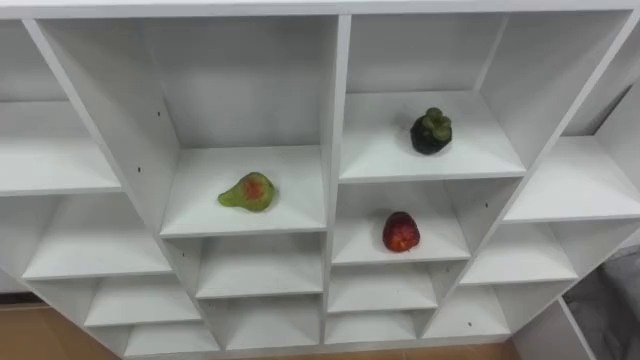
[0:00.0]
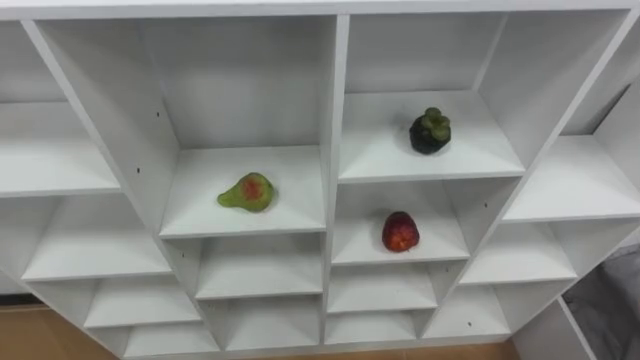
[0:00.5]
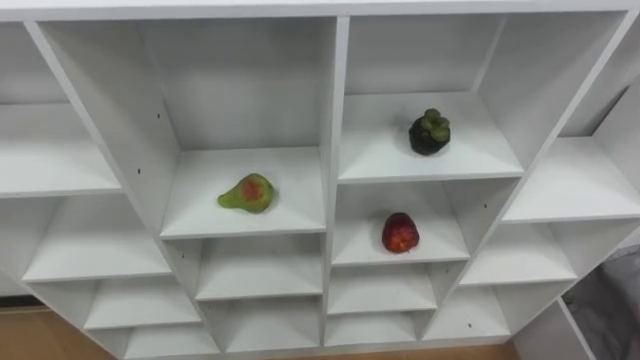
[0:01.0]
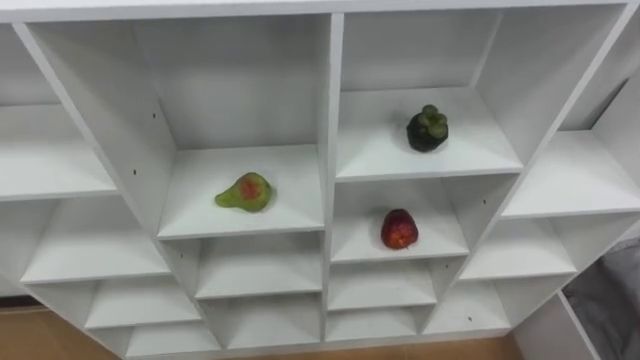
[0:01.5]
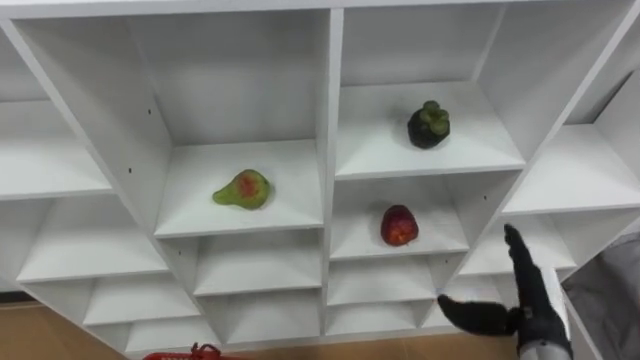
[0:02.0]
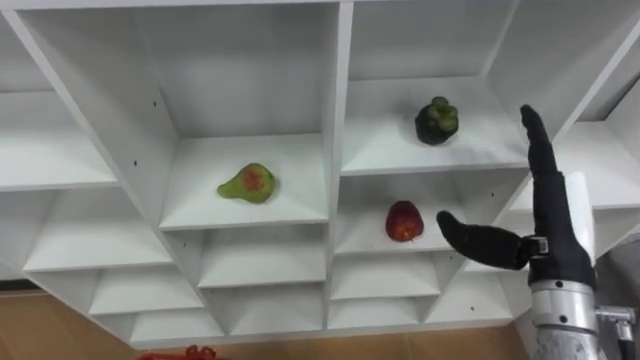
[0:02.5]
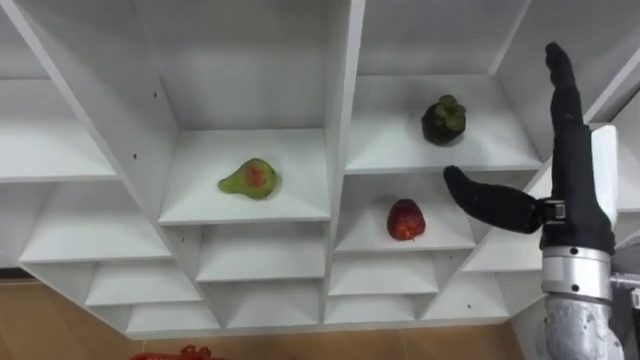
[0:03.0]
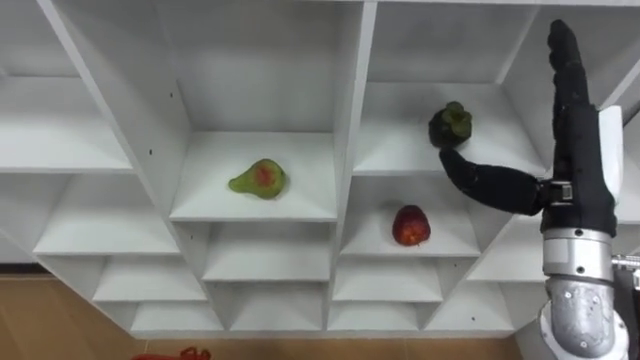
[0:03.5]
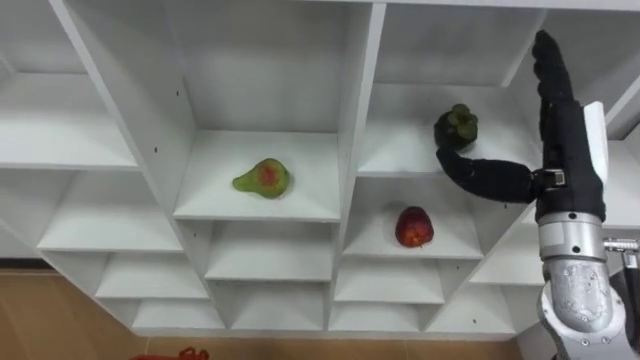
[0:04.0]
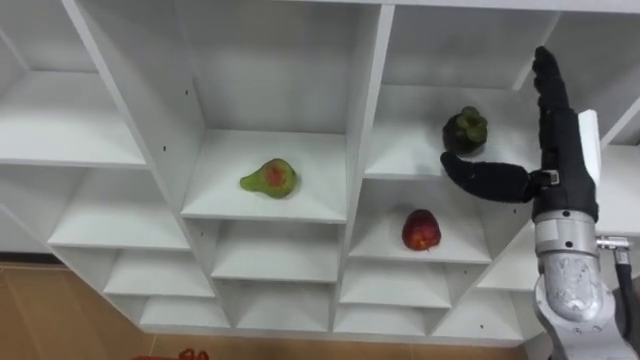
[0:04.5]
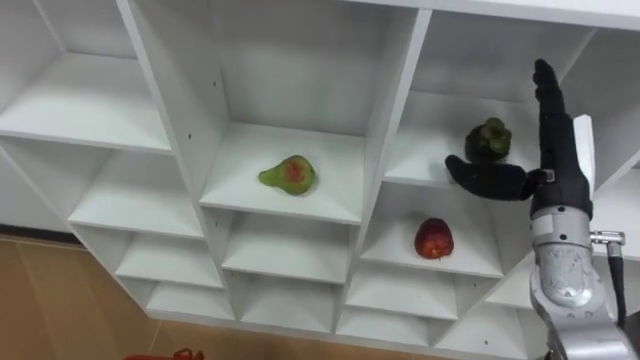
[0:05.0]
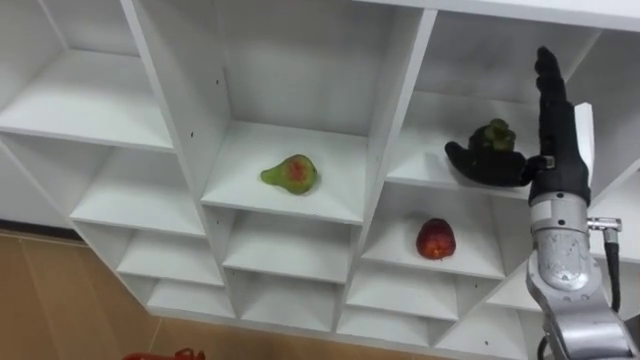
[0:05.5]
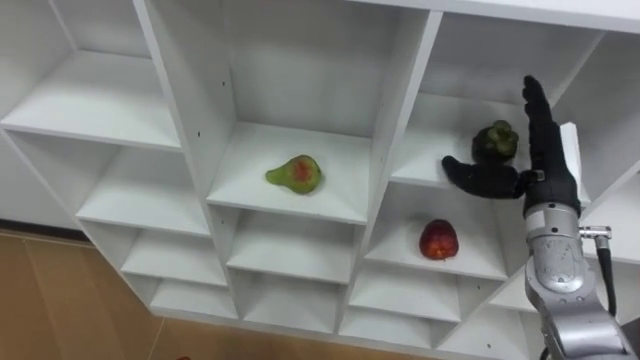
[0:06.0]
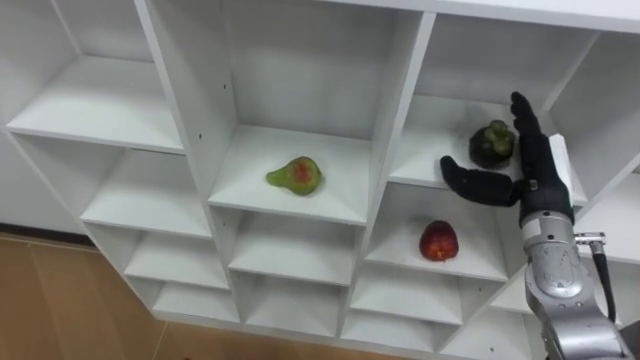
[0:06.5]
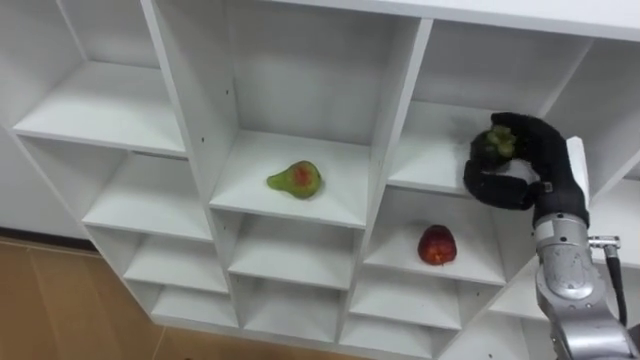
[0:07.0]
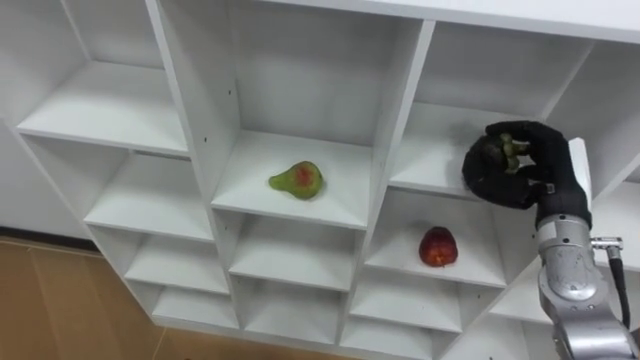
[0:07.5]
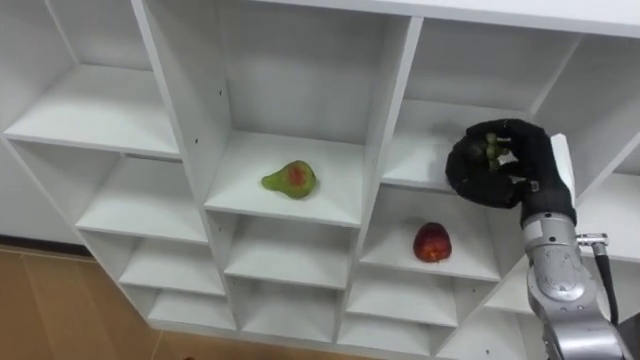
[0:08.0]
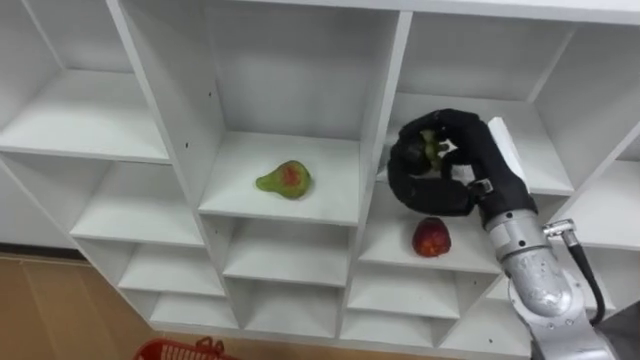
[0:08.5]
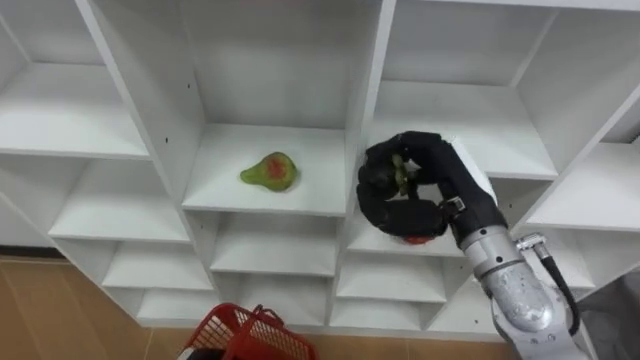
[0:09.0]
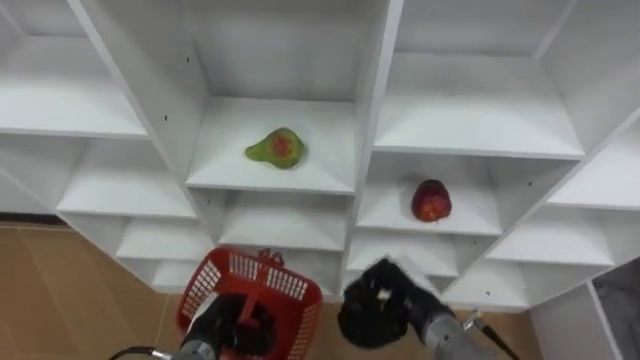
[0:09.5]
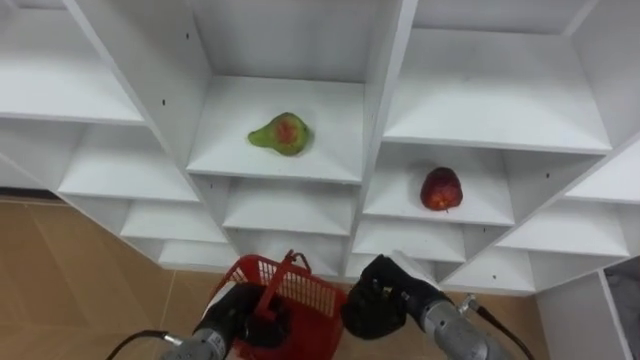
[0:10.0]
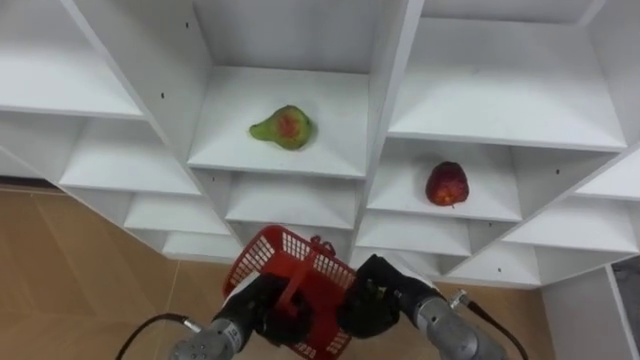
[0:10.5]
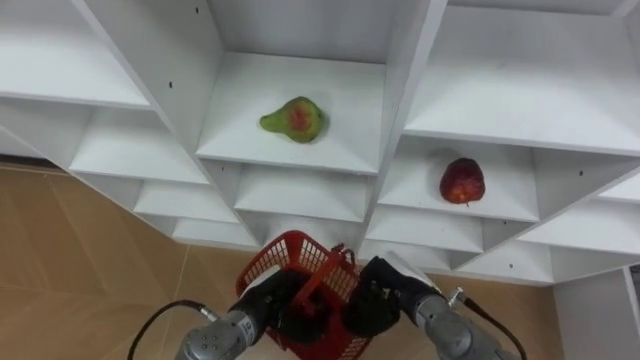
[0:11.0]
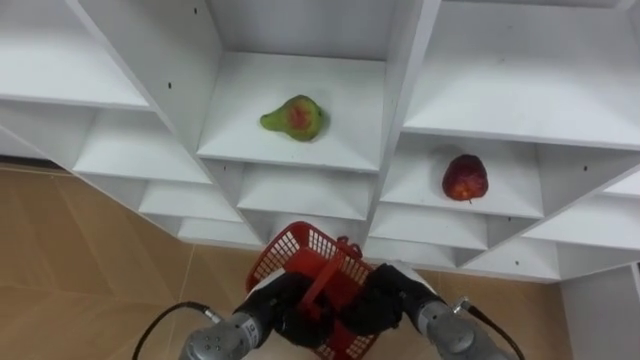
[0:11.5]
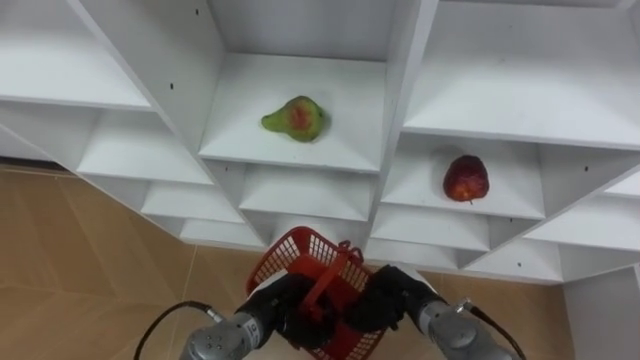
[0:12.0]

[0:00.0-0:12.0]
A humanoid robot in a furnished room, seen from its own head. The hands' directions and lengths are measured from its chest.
Task of the whole recording: Hold the basket and collect the fruits from 3 different cells of the closet into it.
0:02.0 to 0:04.0: The right hand is displaced upward and forward by approximately 20 cm.
0:04.0 to 0:06.0: The right hand shifts approximately 5 cm downward.
0:06.0 to 0:08.0: The right hand closes.
0:08.0 to 0:10.0: The right hand moves to the left, downward and backward, approximately 20 cm.
0:10.0 to 0:12.0: The left hand goes approximately 5 cm to the right.

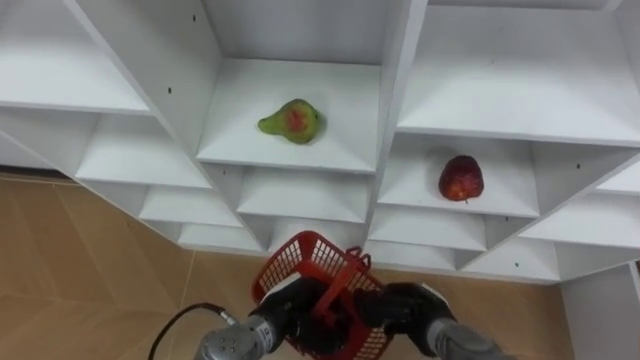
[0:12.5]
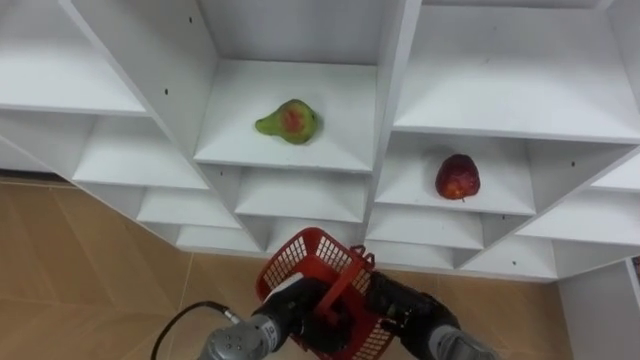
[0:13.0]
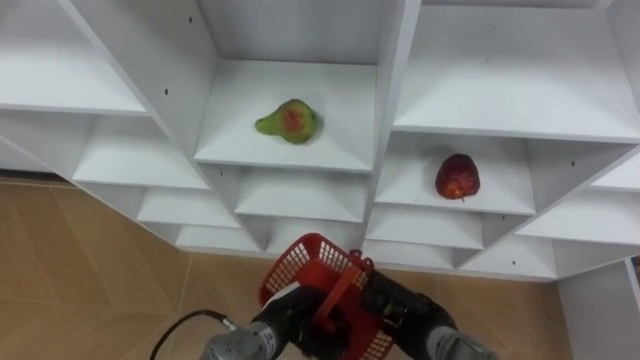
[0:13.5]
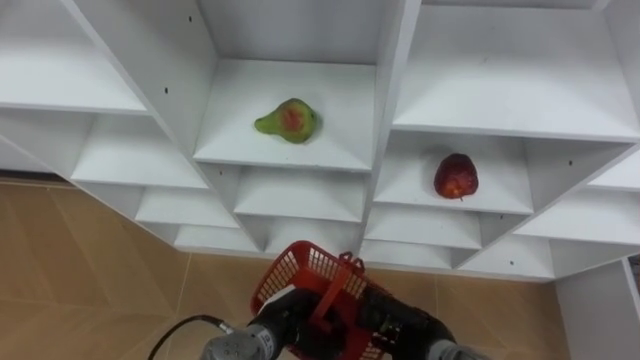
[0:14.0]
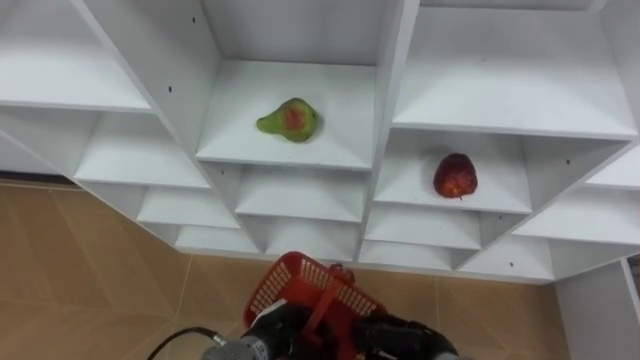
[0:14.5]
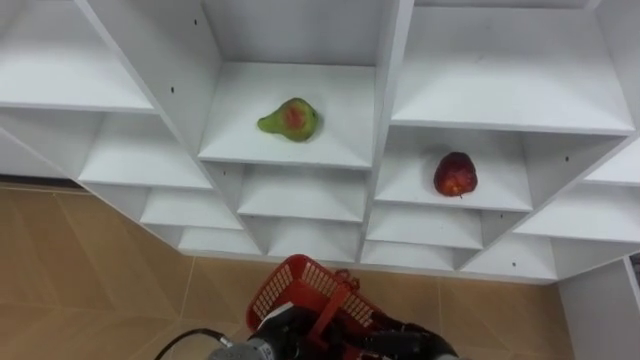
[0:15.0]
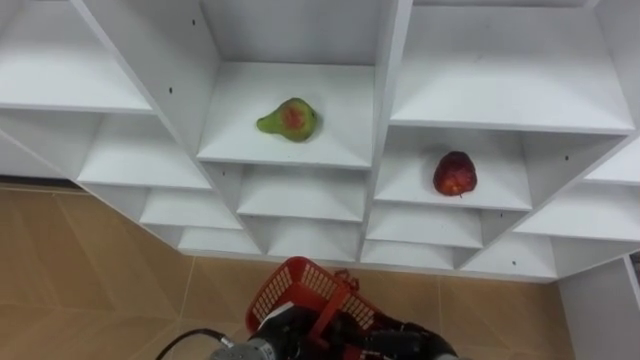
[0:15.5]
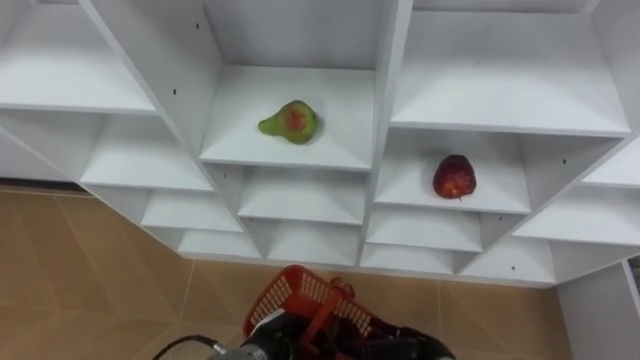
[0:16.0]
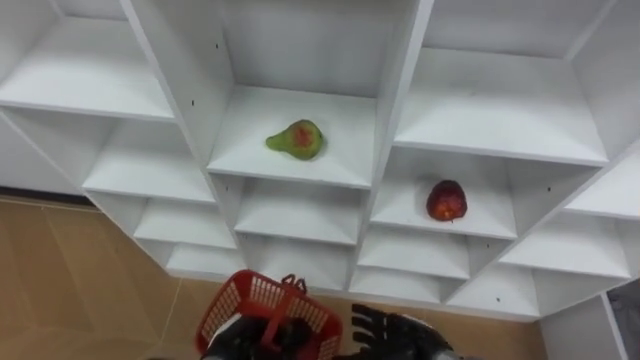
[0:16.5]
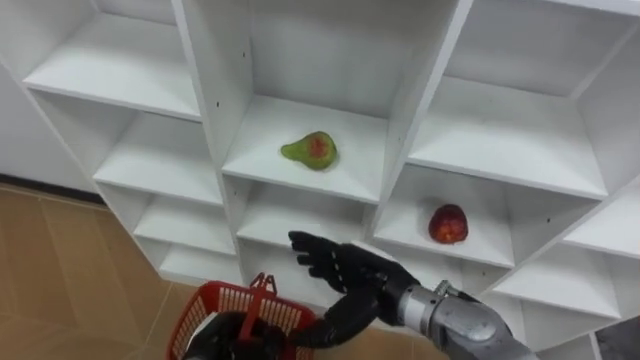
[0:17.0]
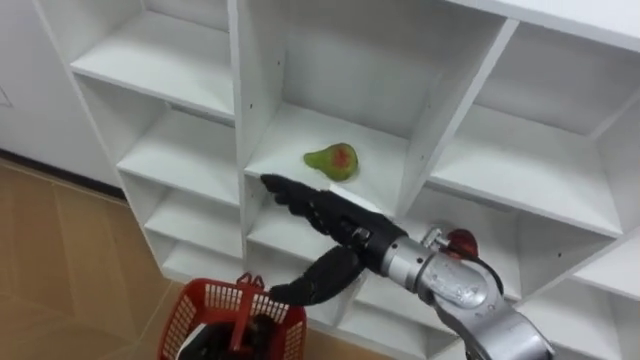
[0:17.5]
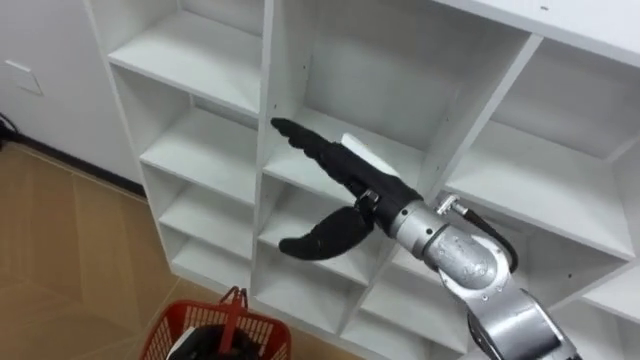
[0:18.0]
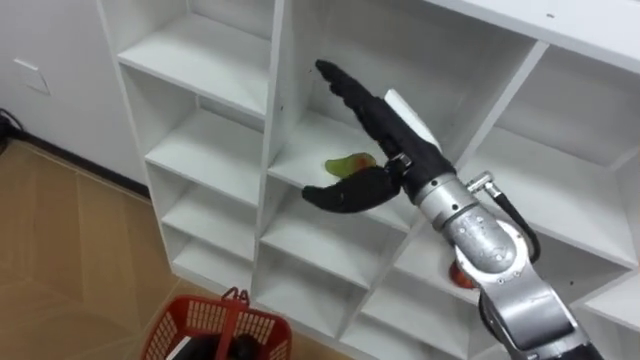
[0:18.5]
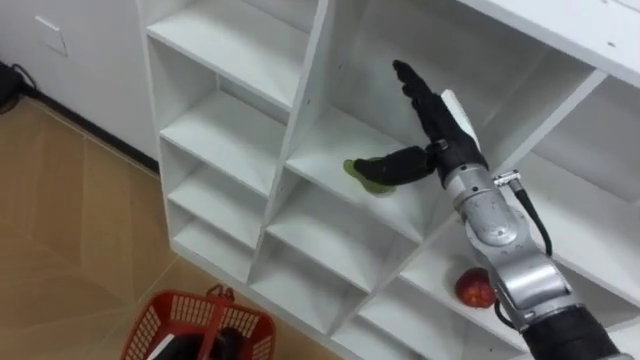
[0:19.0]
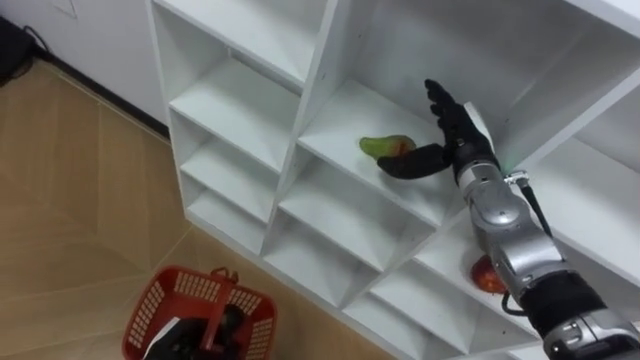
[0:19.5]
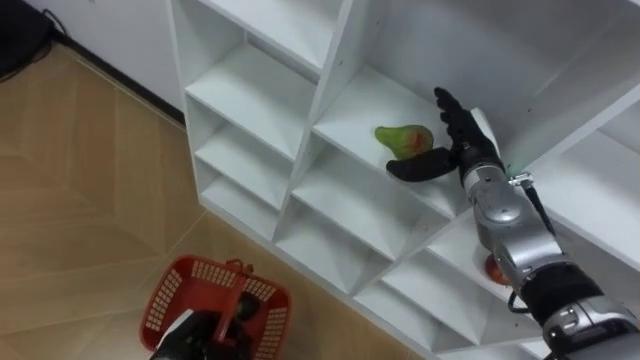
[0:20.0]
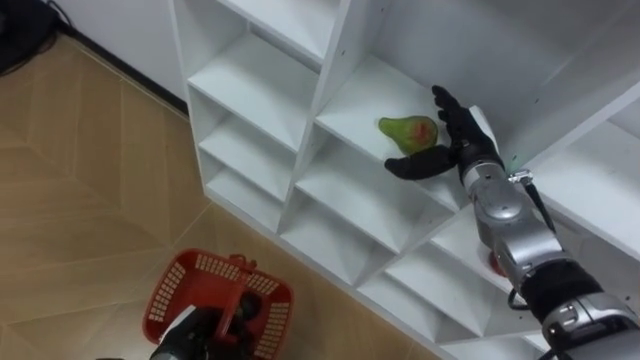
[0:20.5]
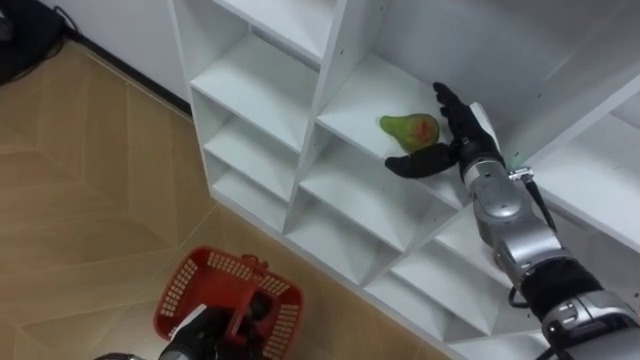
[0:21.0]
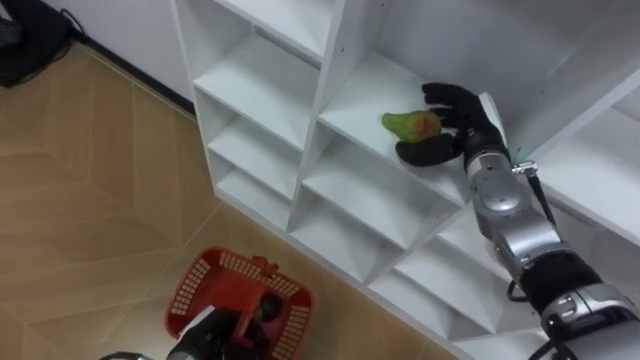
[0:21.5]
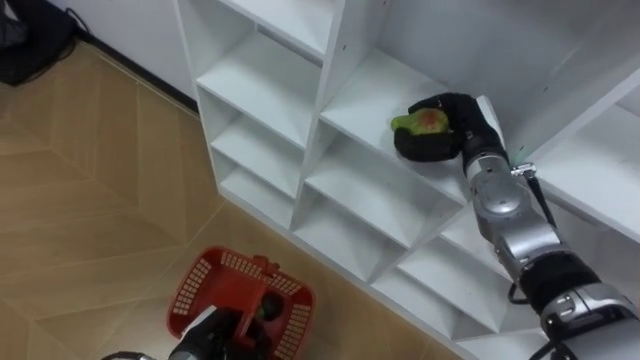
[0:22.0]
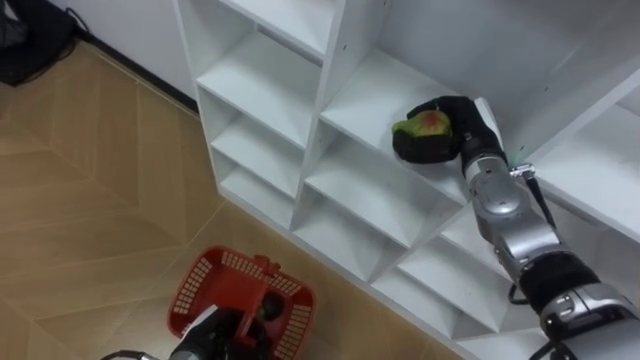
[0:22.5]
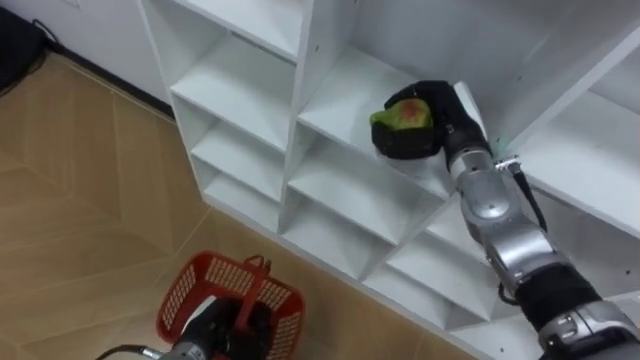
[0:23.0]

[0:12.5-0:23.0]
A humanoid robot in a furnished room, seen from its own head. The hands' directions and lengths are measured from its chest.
Task of the whole recording: Hold the basket and collect the fruits from 3 different cells of the closet into it.
0:12.5 to 0:14.5: The right hand moves approximately 5 cm.
0:14.5 to 0:16.5: The right hand opens. Meanwhile the left hand heads to the left, covering roughly 5 cm.
0:16.5 to 0:19.0: The right hand travels upward and forward by roughly 30 cm.
0:19.0 to 0:21.0: The right hand travels downward by approximately 5 cm.
0:21.0 to 0:23.0: The right hand closes.
